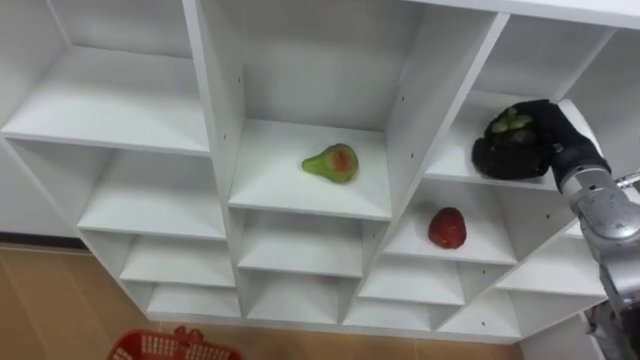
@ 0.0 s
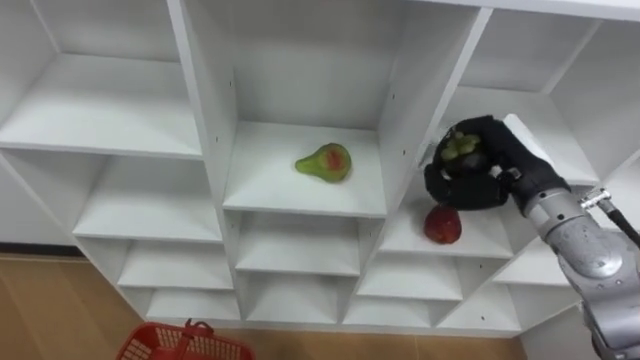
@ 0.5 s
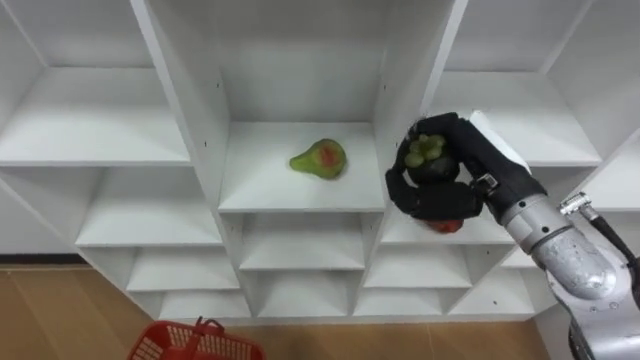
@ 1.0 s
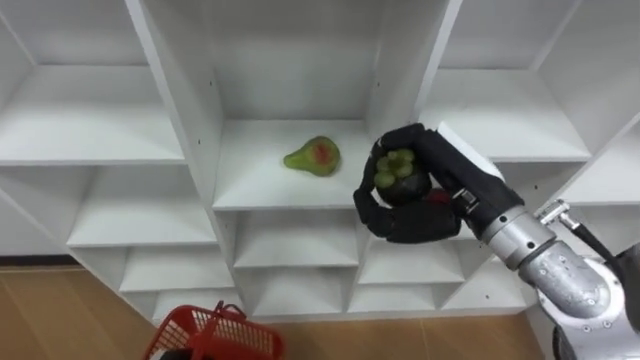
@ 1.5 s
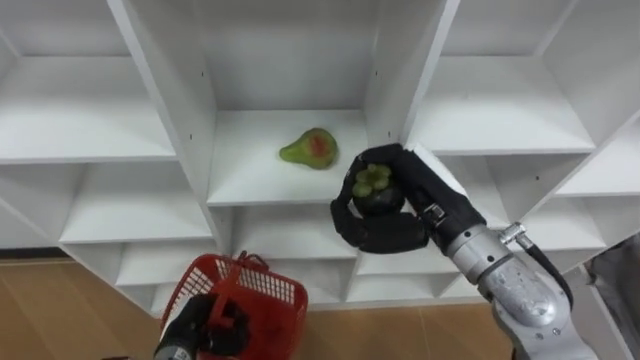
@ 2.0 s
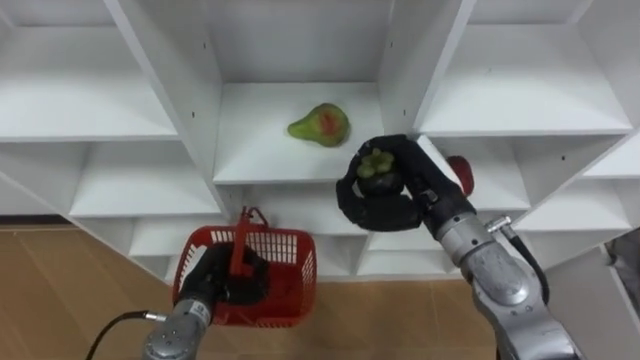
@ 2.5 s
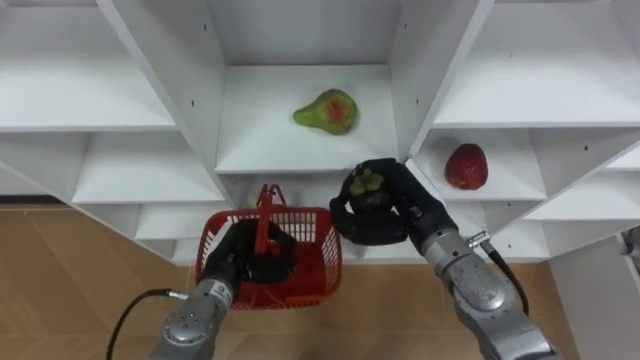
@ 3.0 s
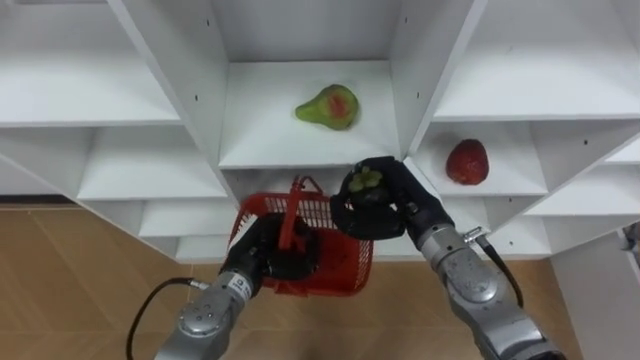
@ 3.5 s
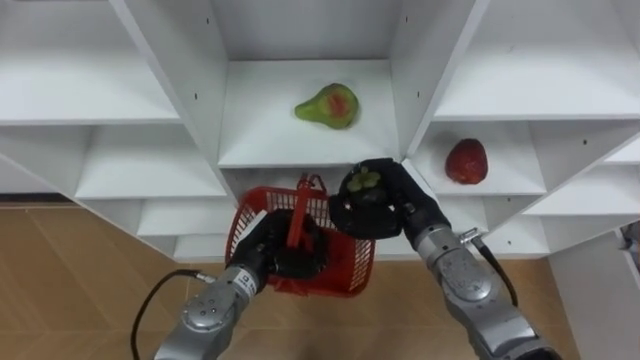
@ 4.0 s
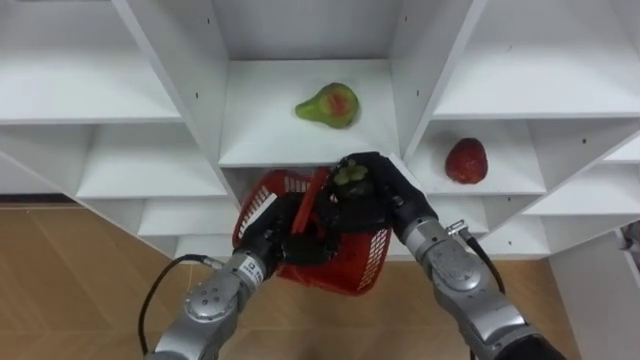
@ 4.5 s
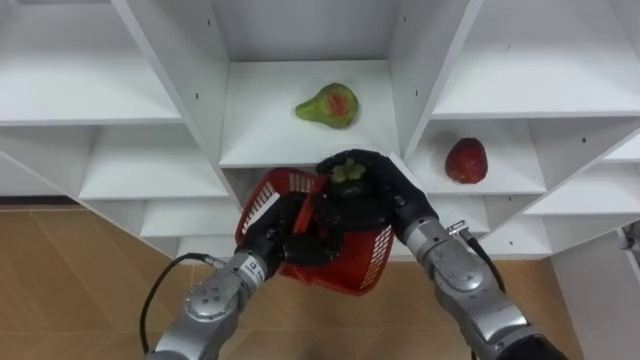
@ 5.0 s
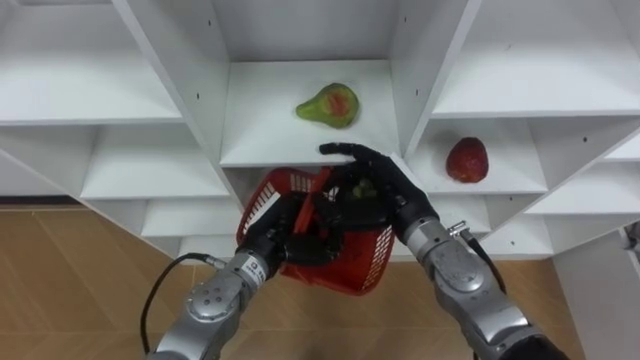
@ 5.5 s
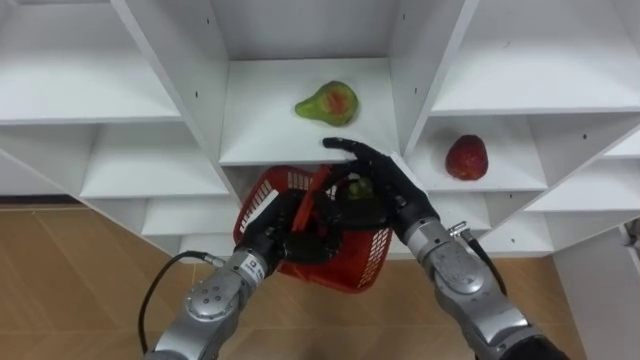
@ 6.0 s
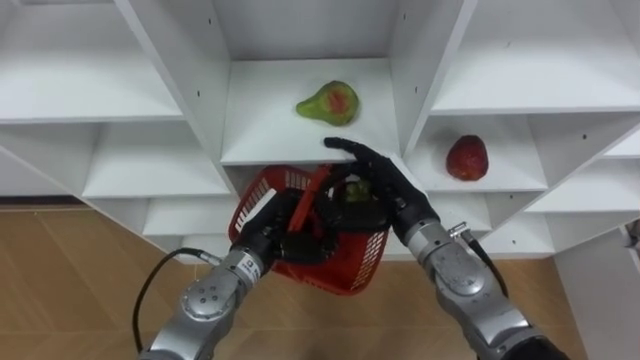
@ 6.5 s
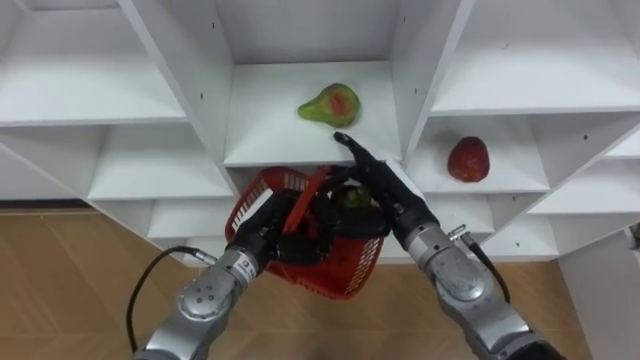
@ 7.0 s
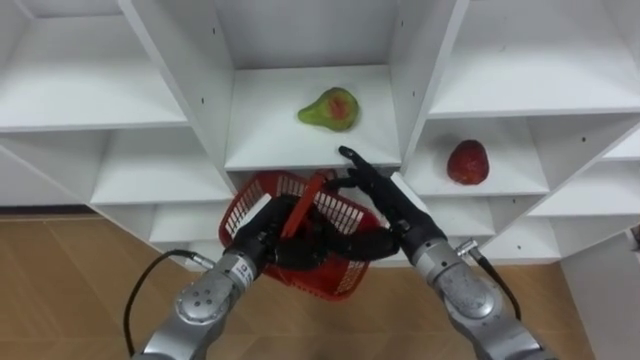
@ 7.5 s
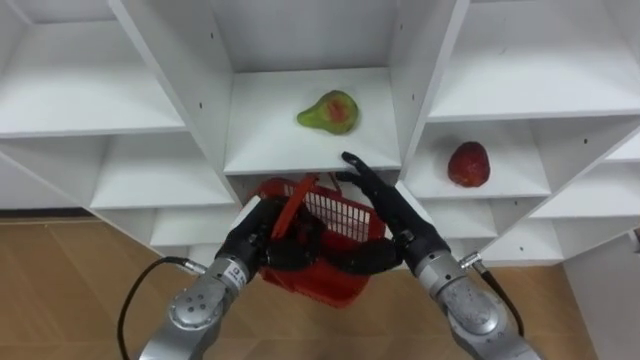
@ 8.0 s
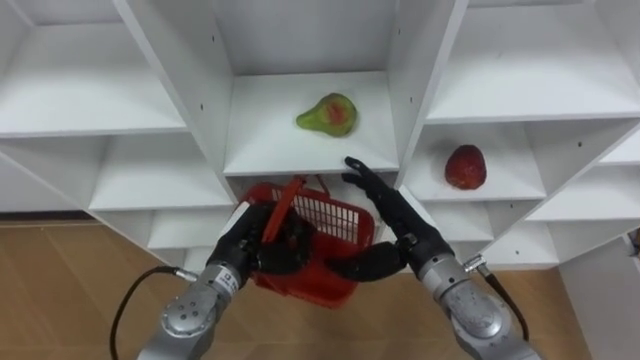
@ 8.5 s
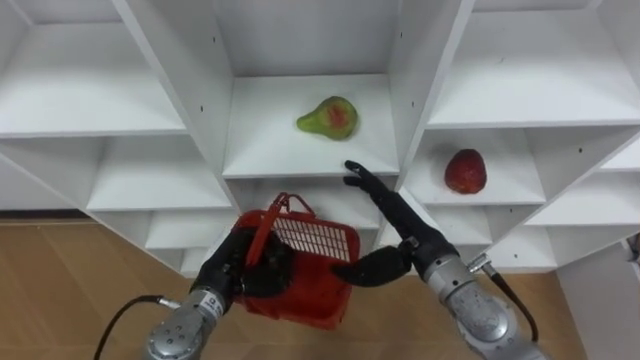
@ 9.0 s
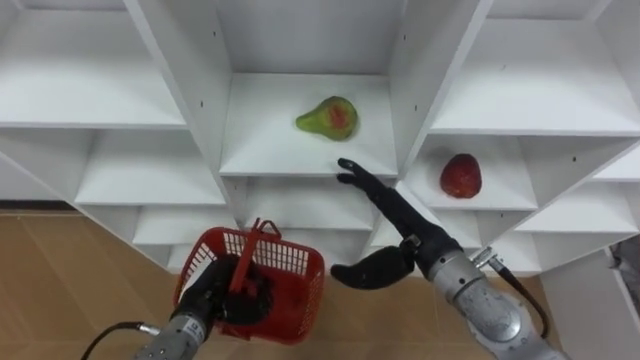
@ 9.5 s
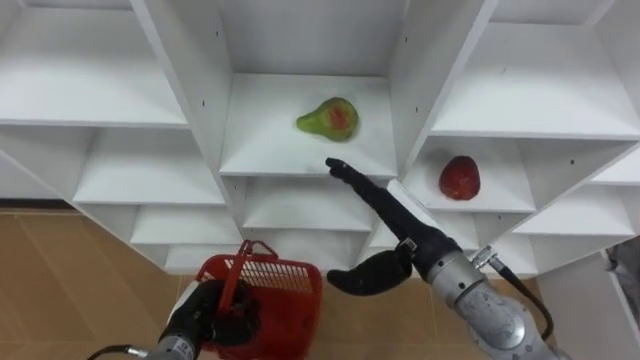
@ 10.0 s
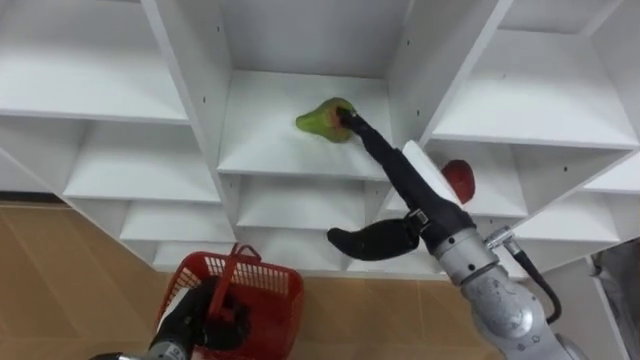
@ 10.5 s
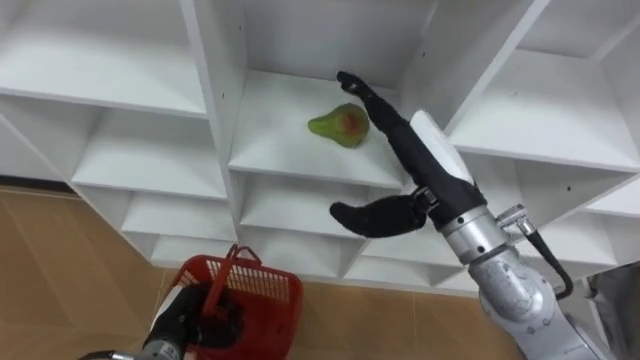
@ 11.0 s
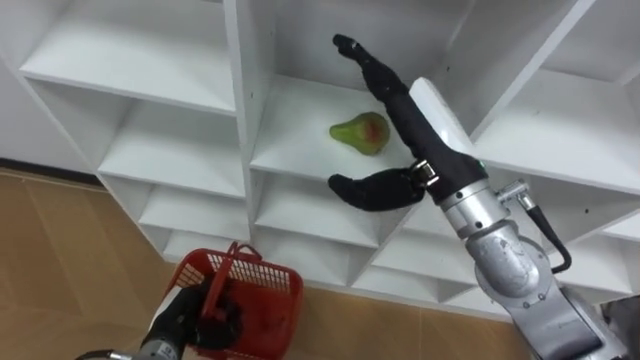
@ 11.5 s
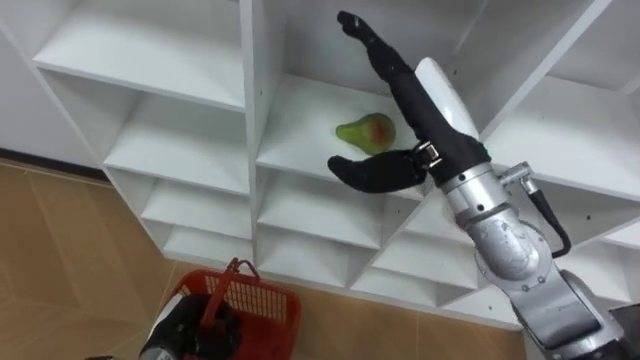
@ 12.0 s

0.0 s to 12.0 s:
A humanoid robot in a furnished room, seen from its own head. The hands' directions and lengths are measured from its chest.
Task of the whole recording: Hold the basket and collect the fruits from 3 different cells of the closet into it.
0.0 to 2.0 s: The right hand moves to the left and backward, approximately 20 cm.
2.0 to 4.0 s: The right hand is displaced downward by approximately 10 cm. The left hand travels to the right, forward and upward by about 15 cm.
4.0 to 6.0 s: The right hand opens up.
8.0 to 10.0 s: The left hand goes approximately 15 cm downward, to the left and backward.
10.0 to 12.0 s: The right hand travels upward by about 15 cm.

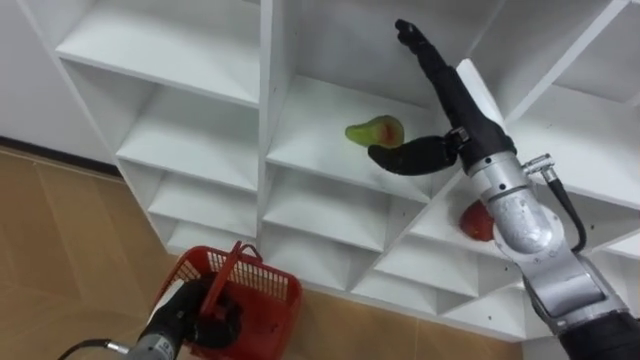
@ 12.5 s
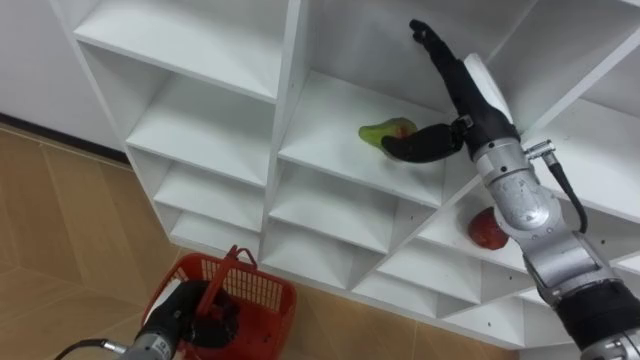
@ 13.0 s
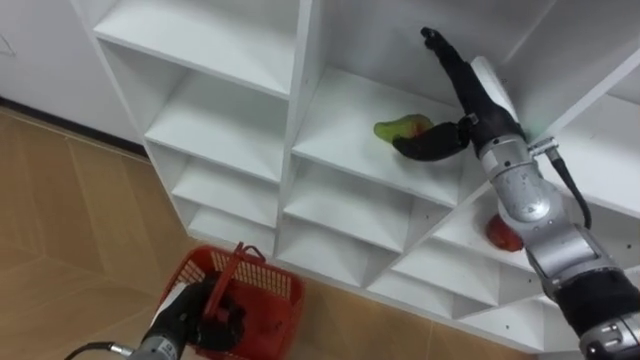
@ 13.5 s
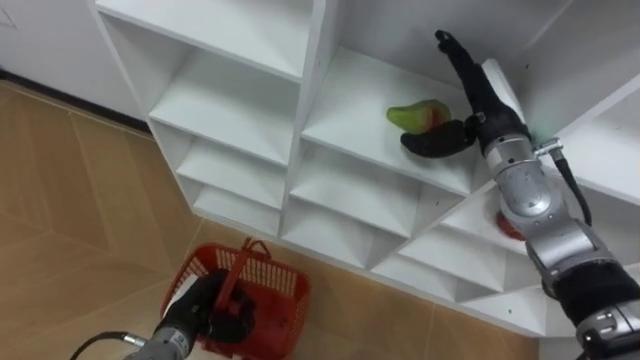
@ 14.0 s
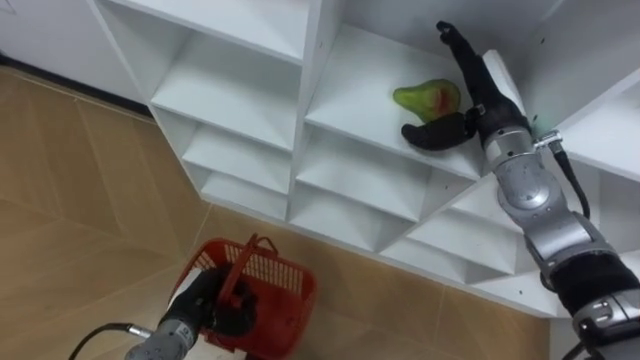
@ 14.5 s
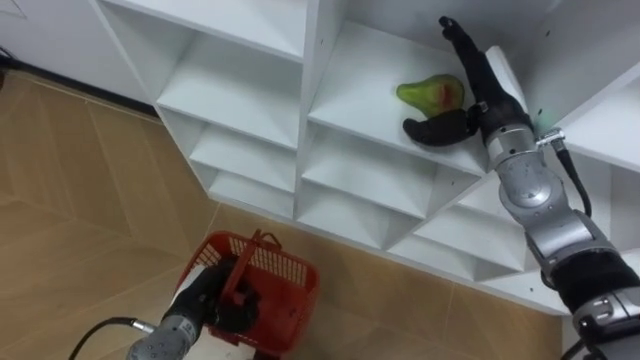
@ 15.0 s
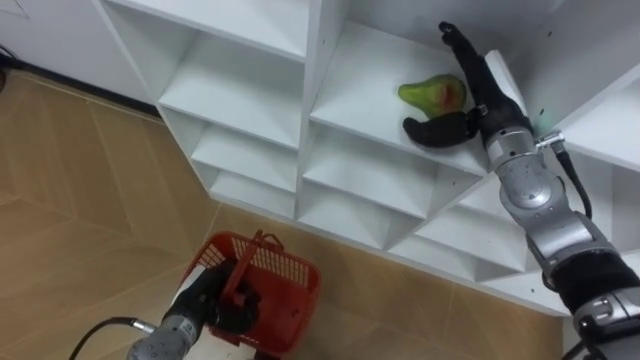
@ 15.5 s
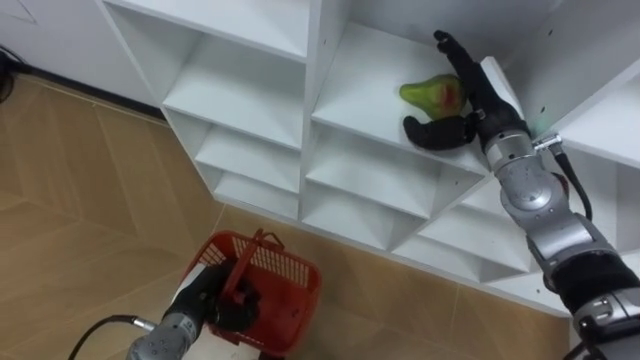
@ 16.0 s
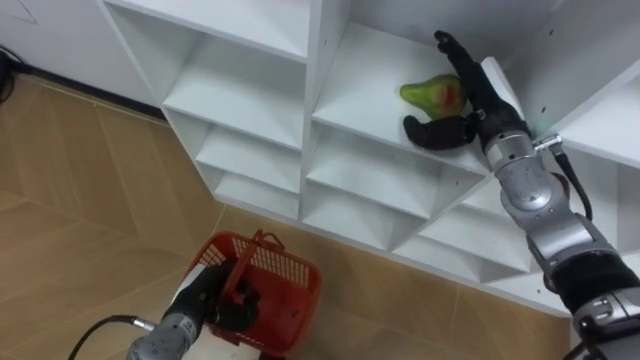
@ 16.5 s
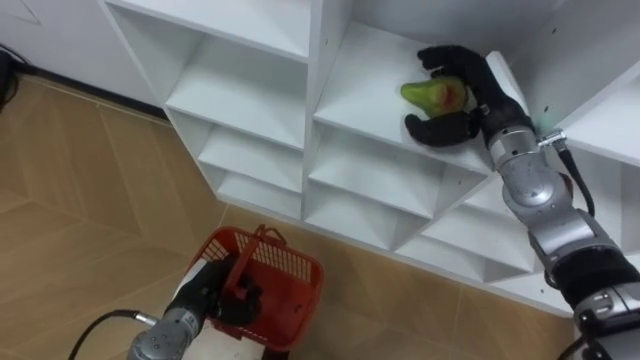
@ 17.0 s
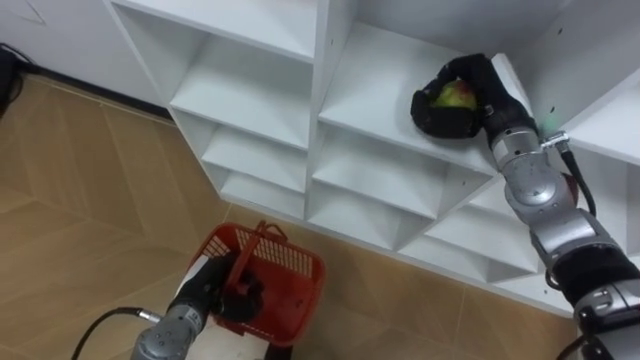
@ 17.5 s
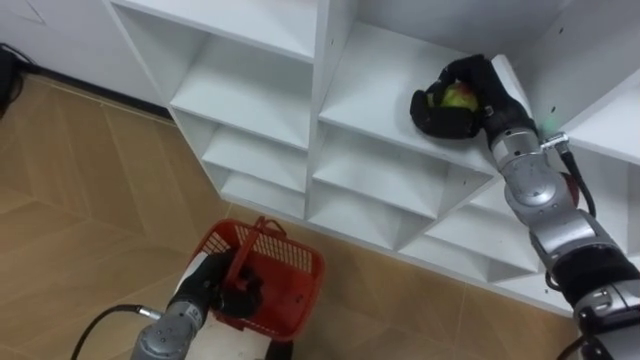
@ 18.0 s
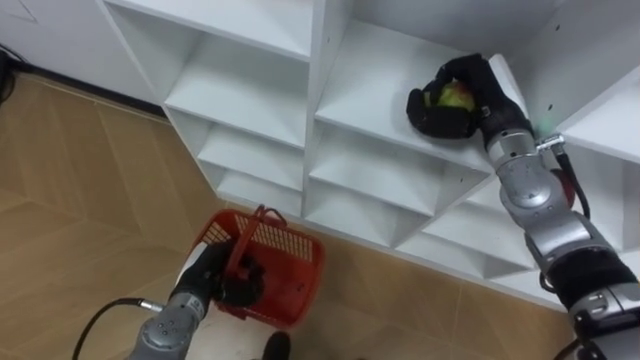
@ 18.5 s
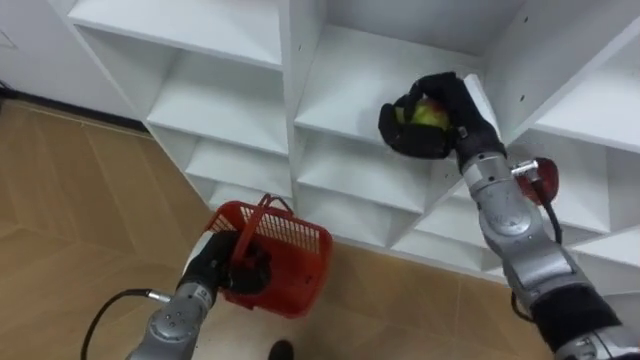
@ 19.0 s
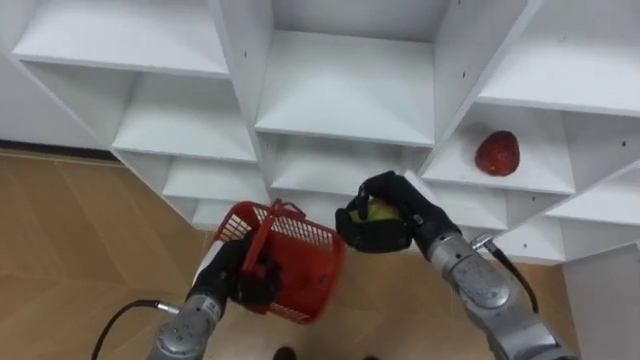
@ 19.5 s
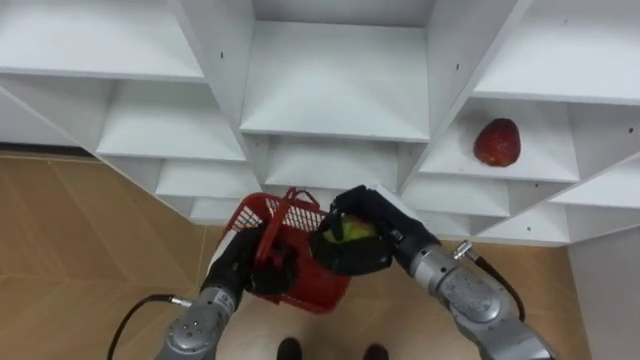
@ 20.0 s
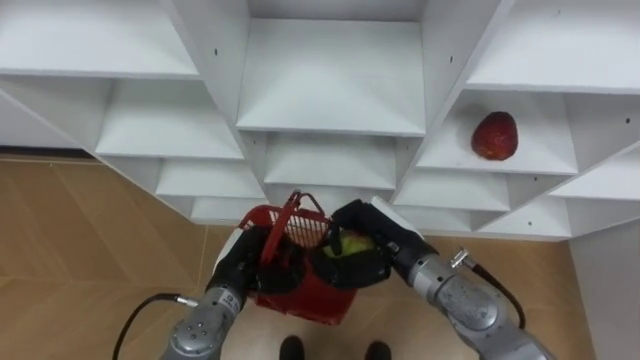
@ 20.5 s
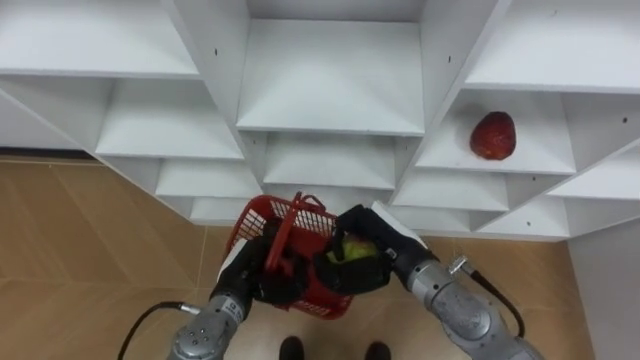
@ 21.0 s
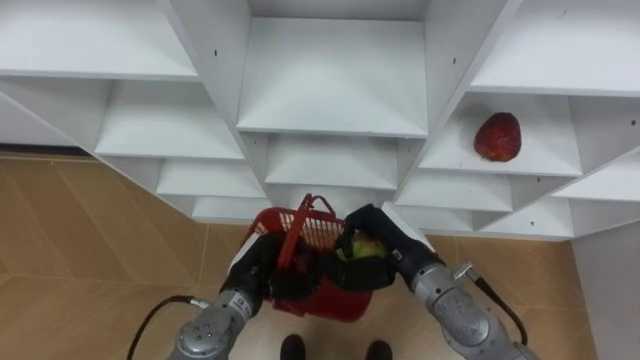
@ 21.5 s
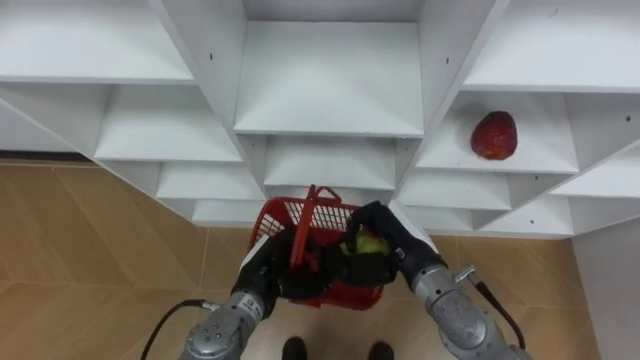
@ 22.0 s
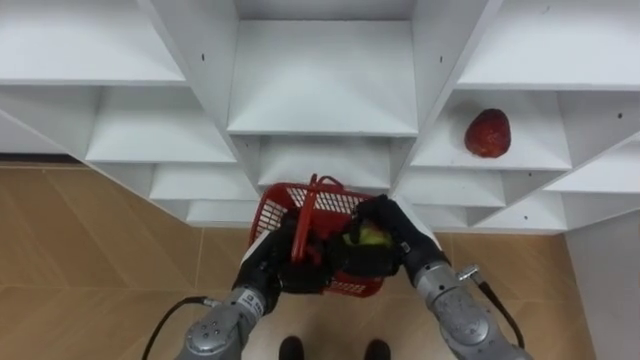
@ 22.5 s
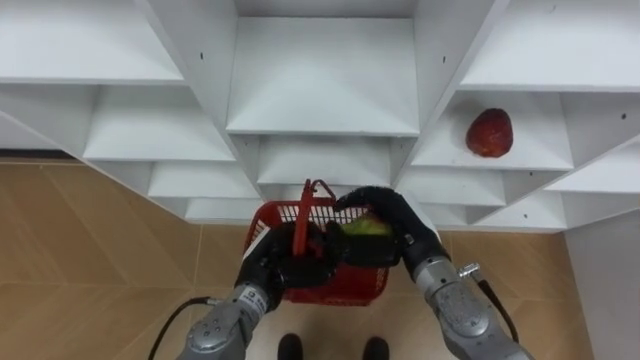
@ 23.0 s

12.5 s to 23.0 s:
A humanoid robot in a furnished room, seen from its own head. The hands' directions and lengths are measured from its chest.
Task of the whole recording: Hold the basket and collect the fruits from 3 different cells of the closet into it.
12.5 to 14.5 s: The right hand is displaced forward by approximately 5 cm.
16.5 to 19.0 s: The left hand ends up about 5 cm from where it was, while the right hand closes.
19.0 to 21.0 s: The right hand is displaced backward, downward and to the left by approximately 15 cm. Meanwhile the left hand moves to the right, roughly 5 cm.
21.0 to 23.0 s: The right hand opens up, while the left hand shifts by some 5 cm.
